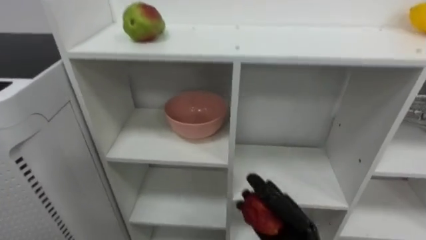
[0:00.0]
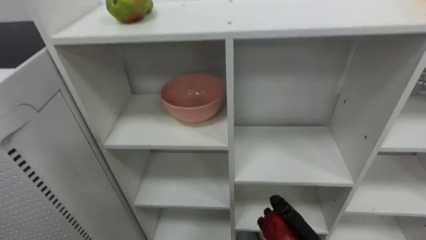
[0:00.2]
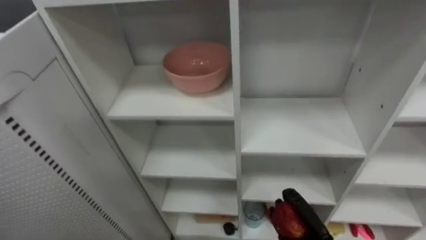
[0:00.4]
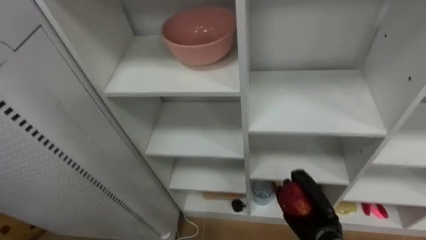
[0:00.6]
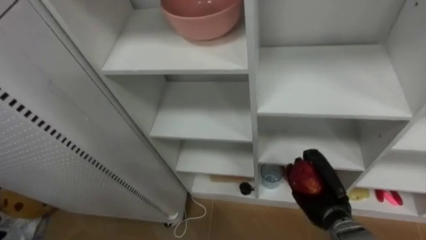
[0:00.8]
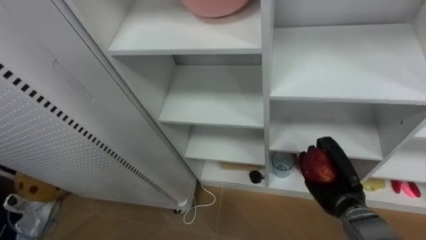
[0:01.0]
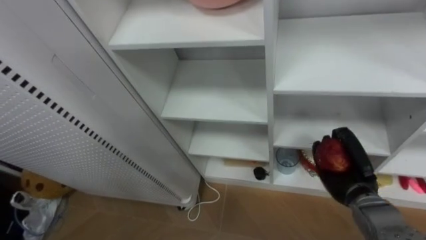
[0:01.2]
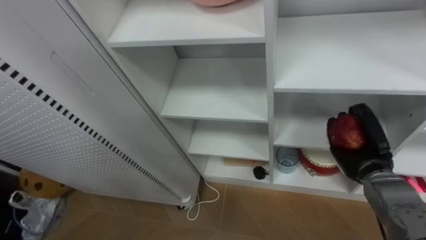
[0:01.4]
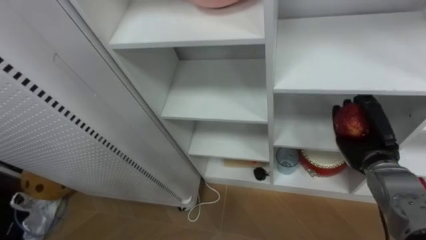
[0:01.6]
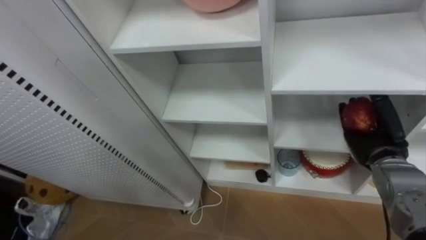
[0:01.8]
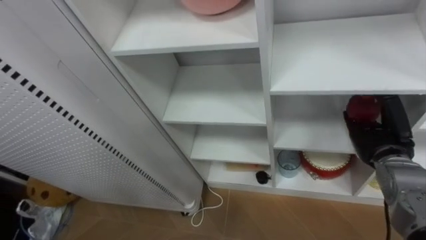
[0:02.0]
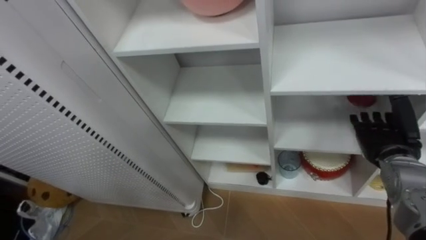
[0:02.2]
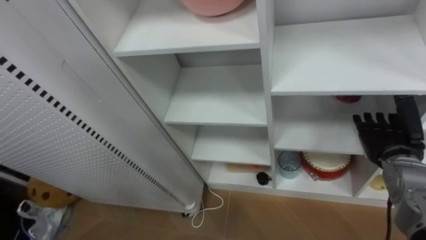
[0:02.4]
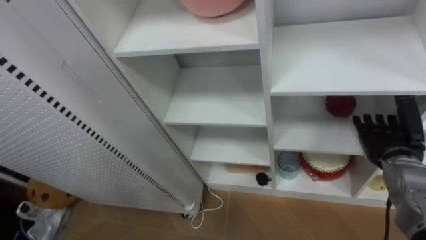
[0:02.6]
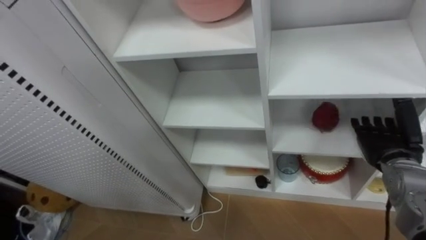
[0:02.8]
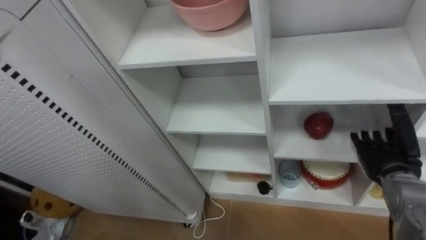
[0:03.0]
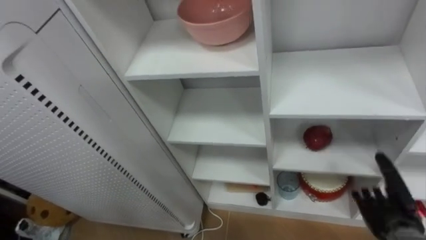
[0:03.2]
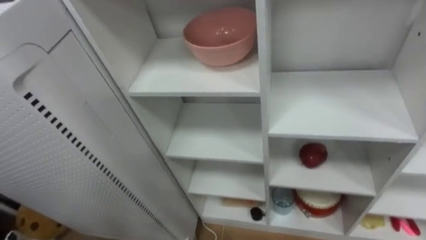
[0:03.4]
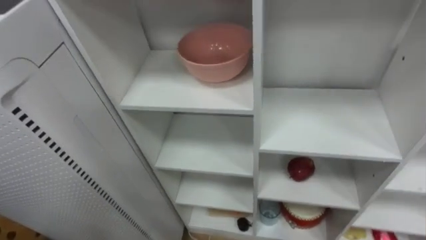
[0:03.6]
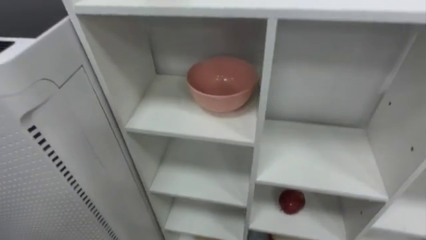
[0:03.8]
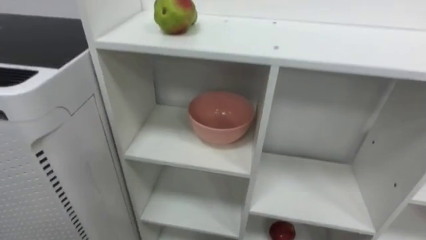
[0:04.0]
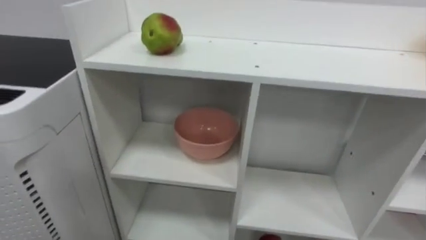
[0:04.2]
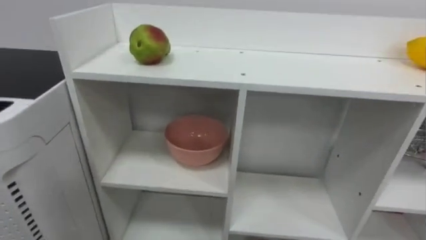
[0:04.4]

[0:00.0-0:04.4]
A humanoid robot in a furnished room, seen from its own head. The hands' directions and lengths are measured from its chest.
Task of the whole recording: Put the apple in the cell in the second column from the left and the second row from the top.
0:01.4 to 0:03.0: The right hand opens.

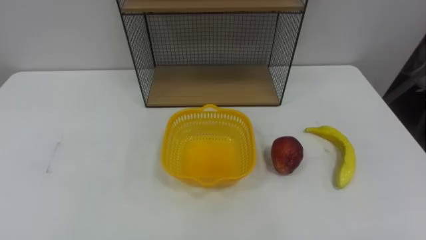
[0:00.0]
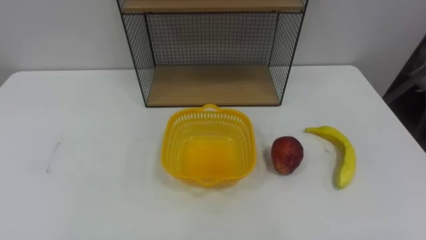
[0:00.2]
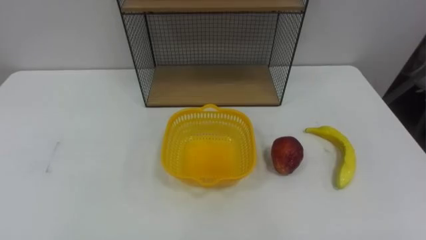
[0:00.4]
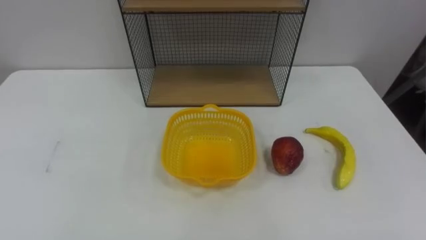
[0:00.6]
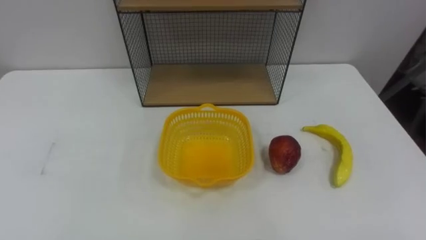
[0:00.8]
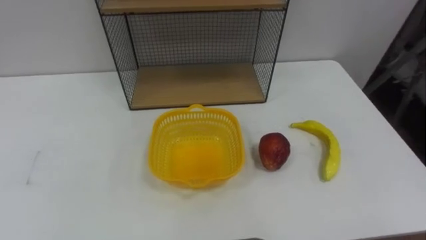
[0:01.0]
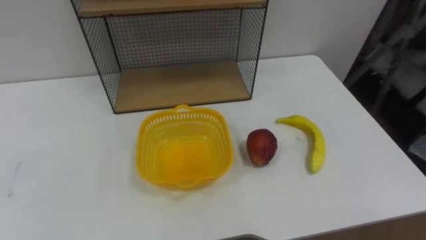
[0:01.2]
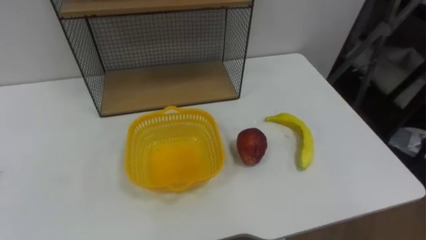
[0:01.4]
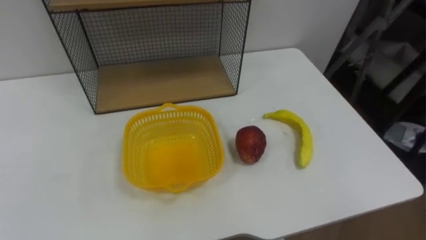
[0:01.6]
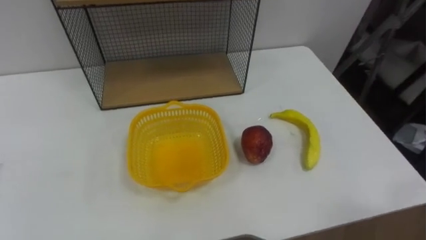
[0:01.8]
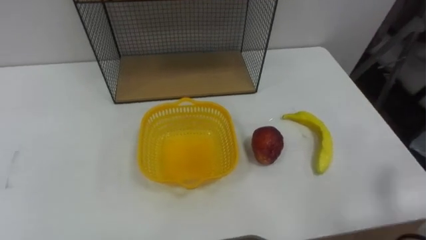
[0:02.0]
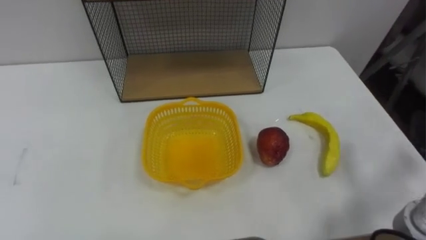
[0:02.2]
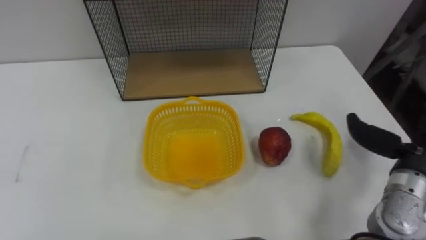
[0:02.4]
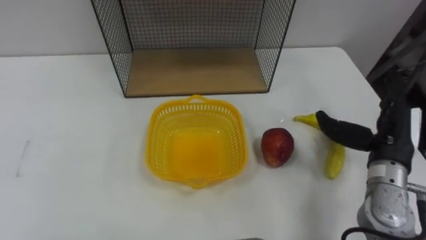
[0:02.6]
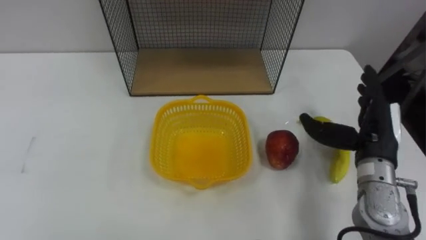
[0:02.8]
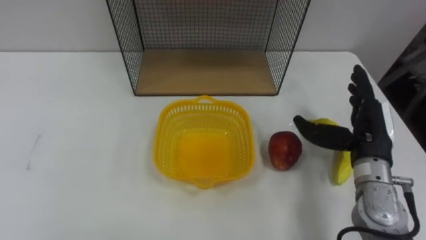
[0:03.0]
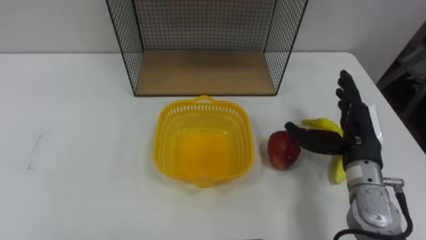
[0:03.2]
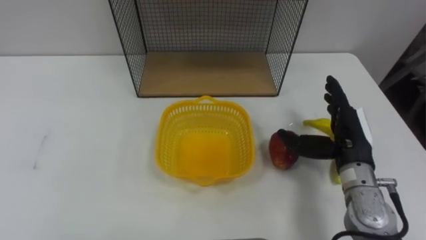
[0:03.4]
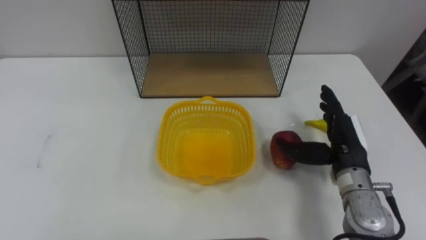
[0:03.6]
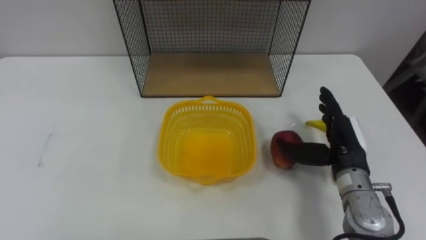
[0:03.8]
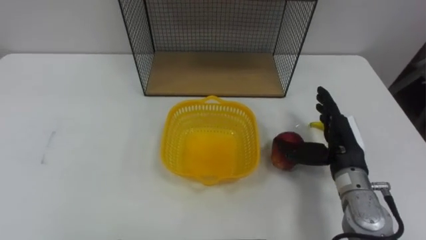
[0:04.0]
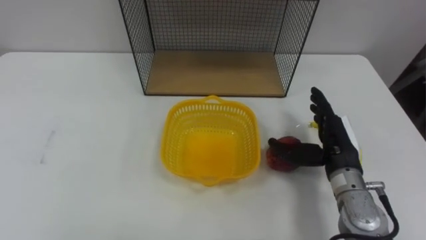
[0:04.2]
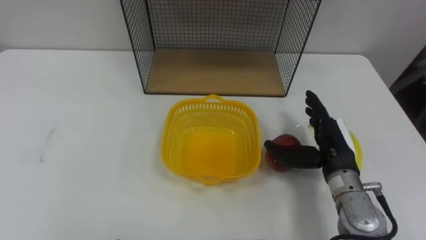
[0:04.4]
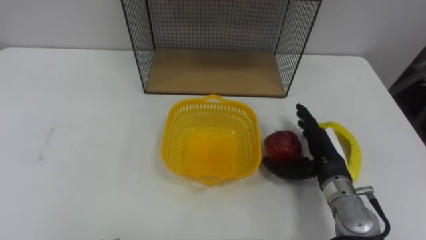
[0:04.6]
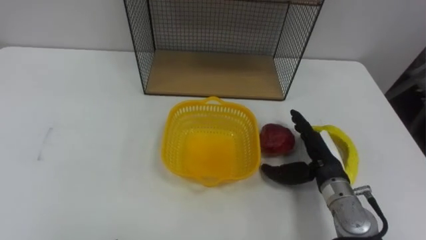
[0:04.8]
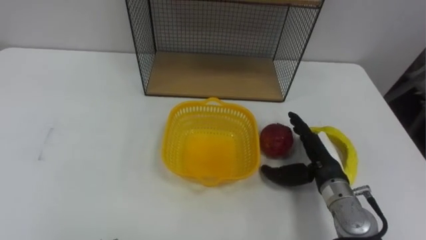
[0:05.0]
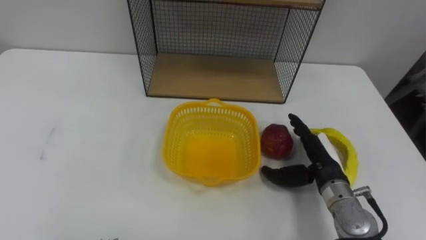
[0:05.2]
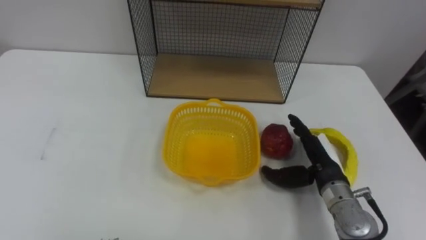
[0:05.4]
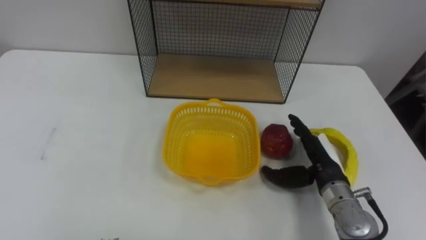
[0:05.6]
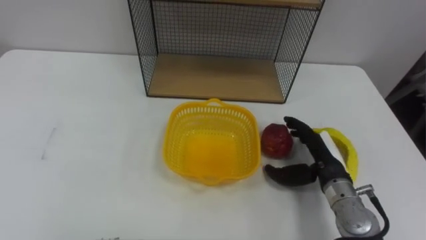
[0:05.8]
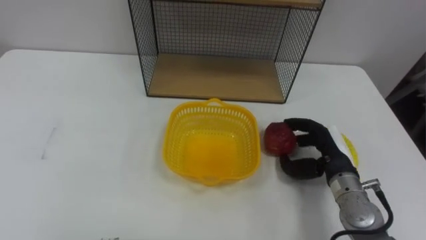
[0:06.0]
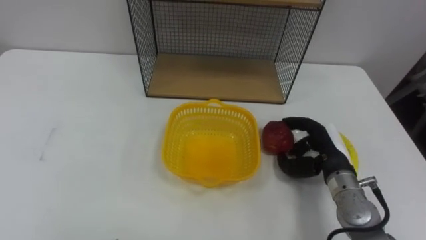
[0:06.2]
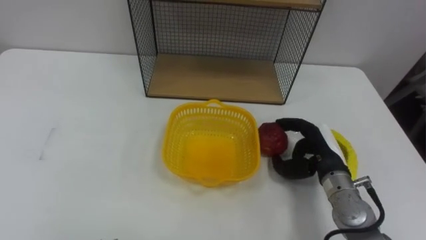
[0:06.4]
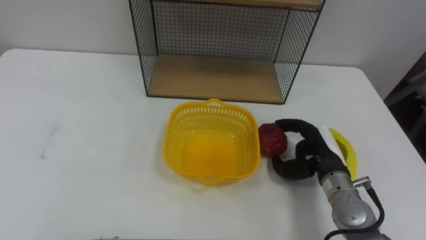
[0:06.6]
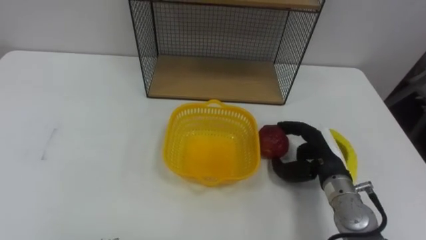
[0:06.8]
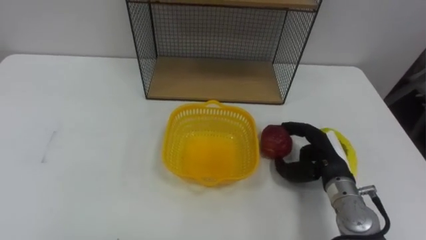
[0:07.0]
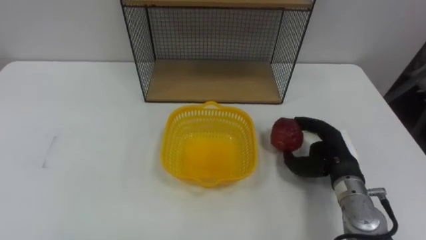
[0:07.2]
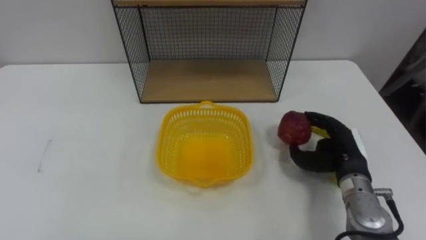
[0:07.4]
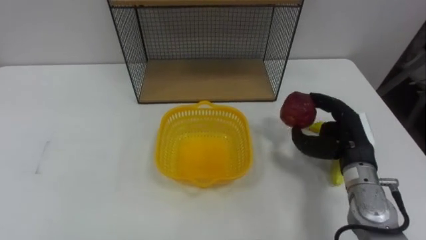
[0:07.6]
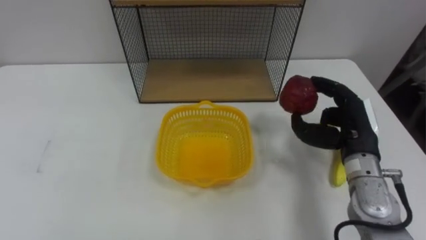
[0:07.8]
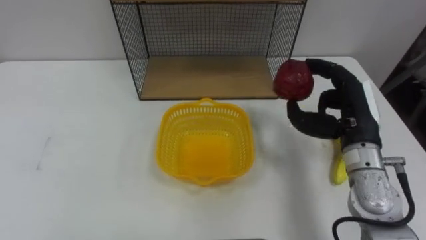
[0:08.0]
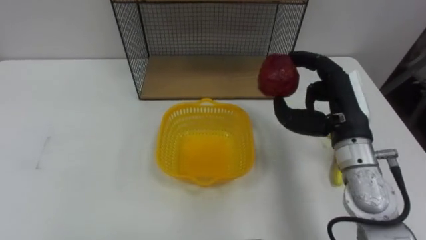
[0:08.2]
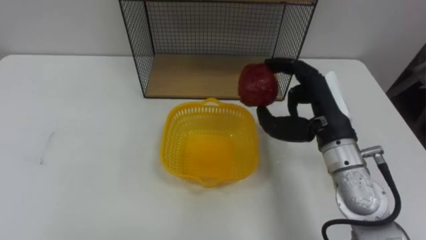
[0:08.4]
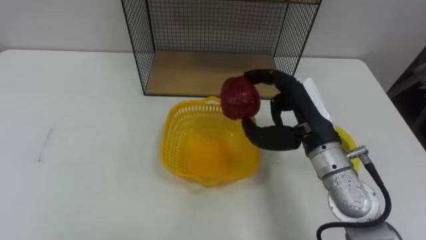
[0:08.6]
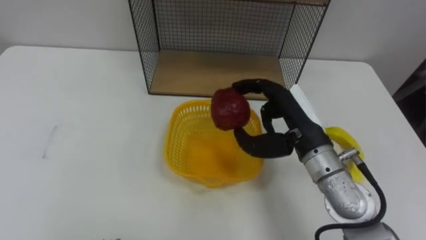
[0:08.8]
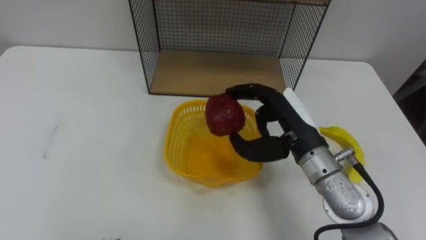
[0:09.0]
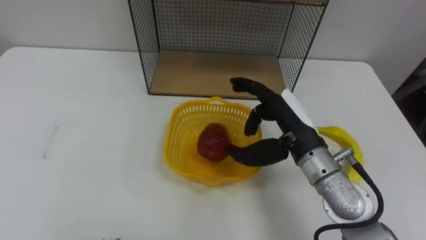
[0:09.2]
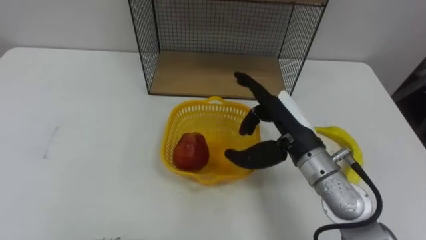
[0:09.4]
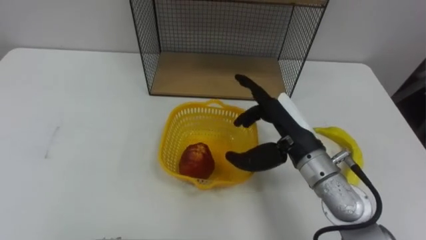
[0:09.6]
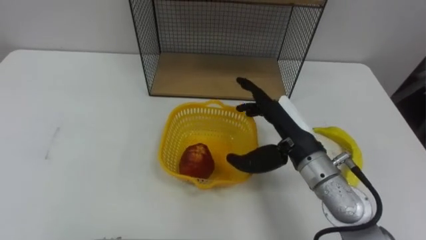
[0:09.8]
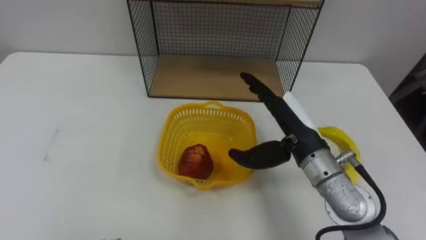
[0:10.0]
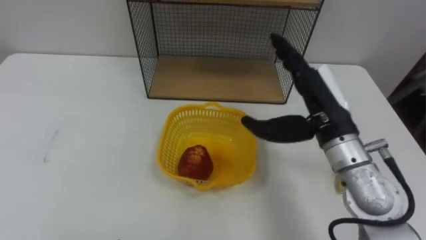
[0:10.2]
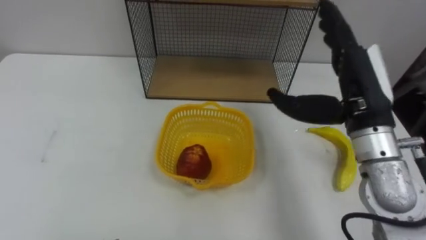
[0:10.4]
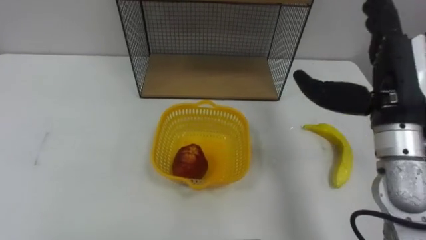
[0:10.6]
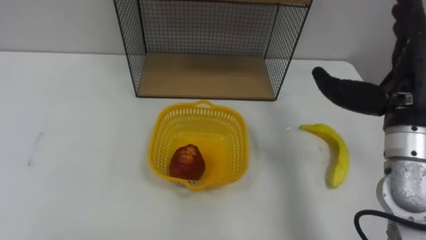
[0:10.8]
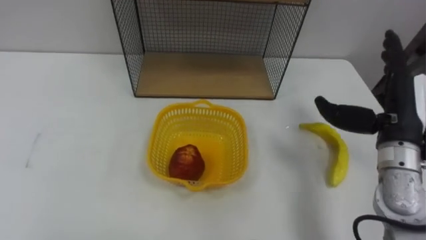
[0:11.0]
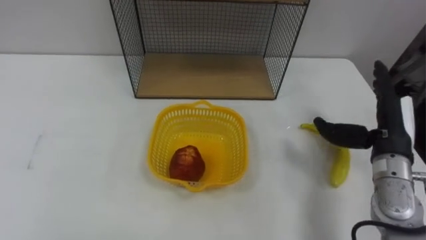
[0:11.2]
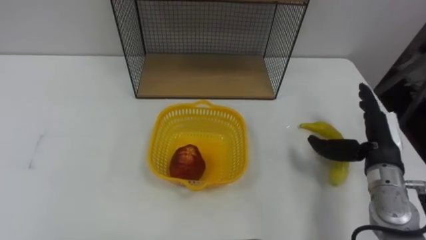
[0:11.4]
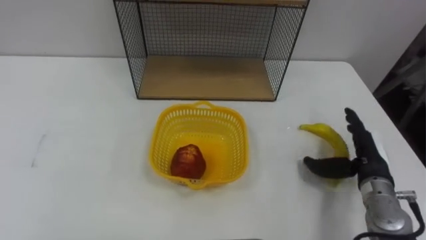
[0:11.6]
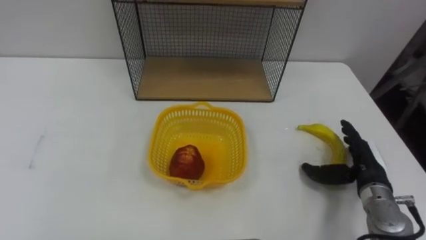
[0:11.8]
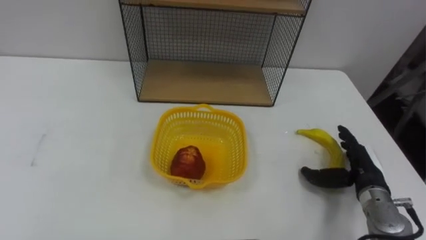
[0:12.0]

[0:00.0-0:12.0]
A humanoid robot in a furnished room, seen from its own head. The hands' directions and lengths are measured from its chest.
Task of the whole recording: Put the fruit on the table into the basket, then place the basket on the shelf.
0:03.0 to 0:04.4: The right hand shifts by approximately 5 cm.
0:04.4 to 0:06.0: The right hand closes its fingers.
0:07.6 to 0:09.0: The right hand goes some 15 cm to the left and upward.
0:09.0 to 0:10.4: The right hand travels upward and to the right by roughly 10 cm, and opens its fingers.
0:10.4 to 0:12.0: The right hand goes some 25 cm downward and to the right.
